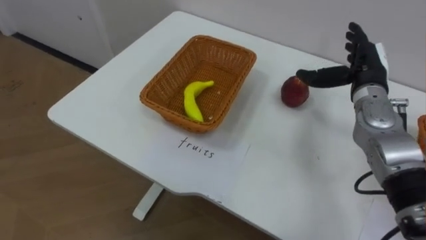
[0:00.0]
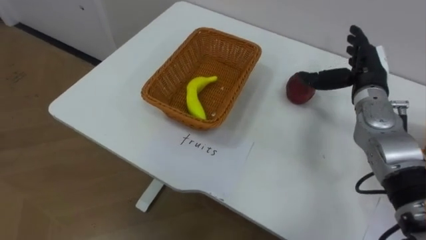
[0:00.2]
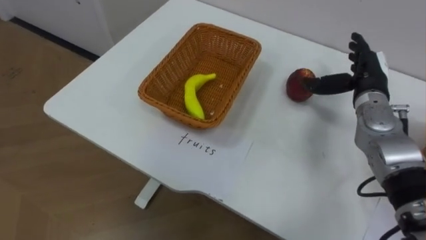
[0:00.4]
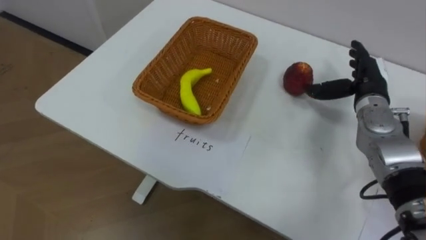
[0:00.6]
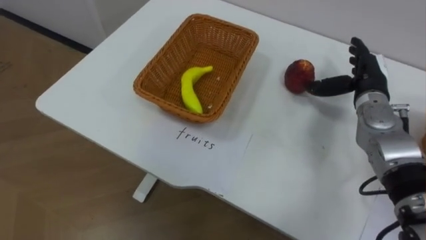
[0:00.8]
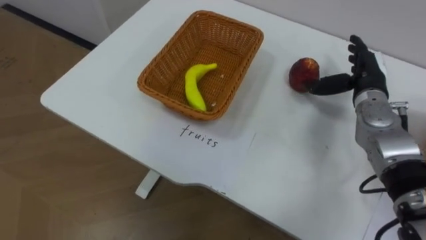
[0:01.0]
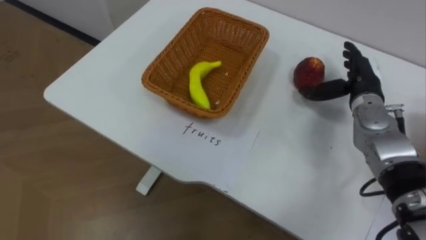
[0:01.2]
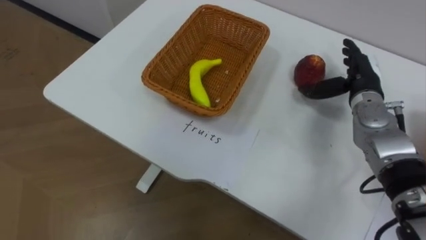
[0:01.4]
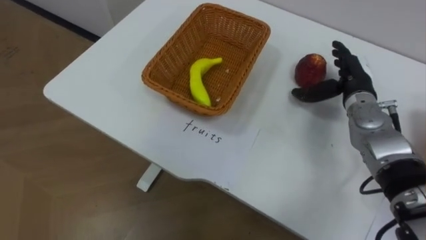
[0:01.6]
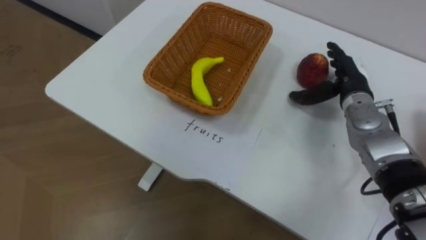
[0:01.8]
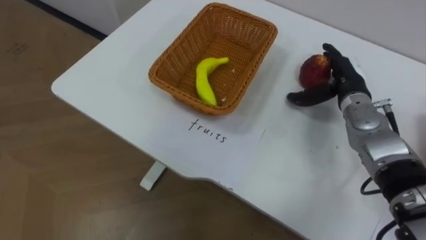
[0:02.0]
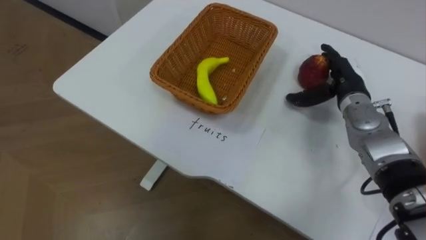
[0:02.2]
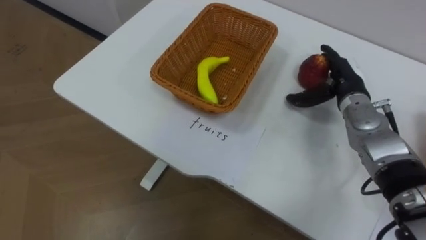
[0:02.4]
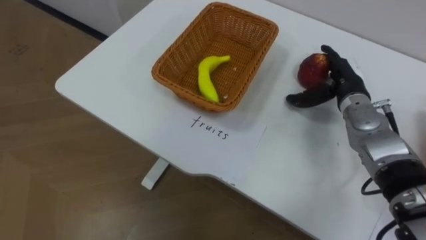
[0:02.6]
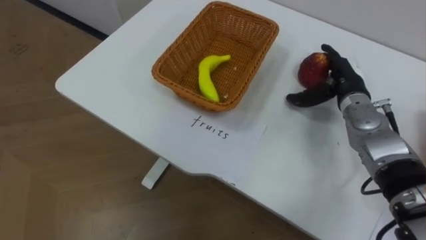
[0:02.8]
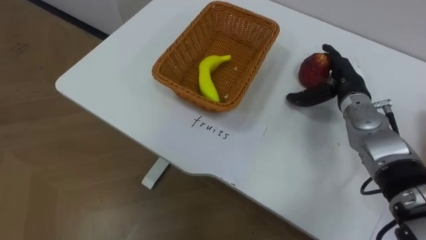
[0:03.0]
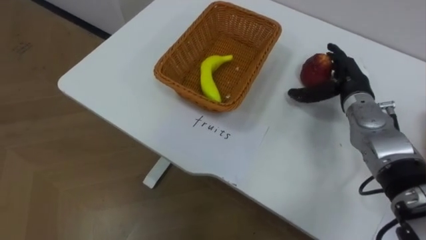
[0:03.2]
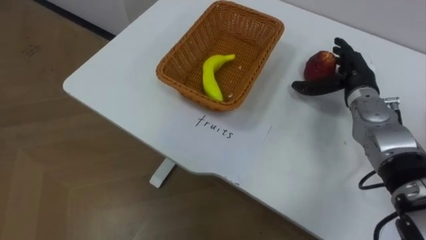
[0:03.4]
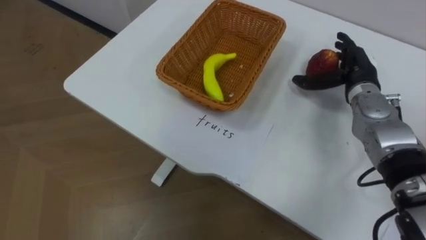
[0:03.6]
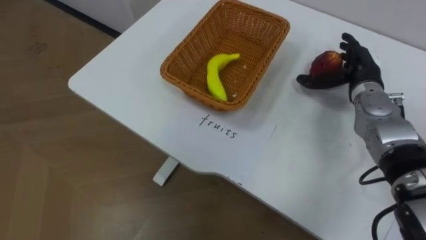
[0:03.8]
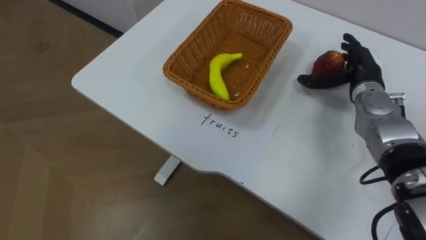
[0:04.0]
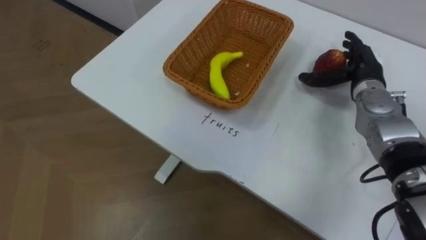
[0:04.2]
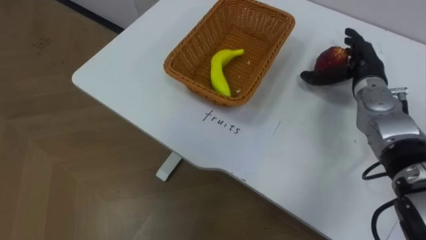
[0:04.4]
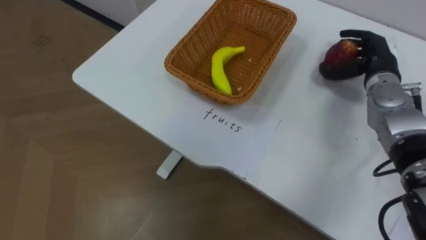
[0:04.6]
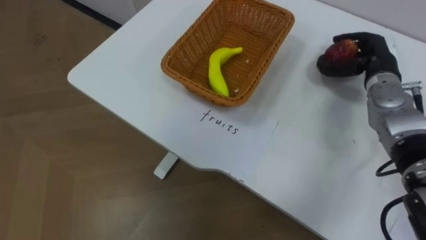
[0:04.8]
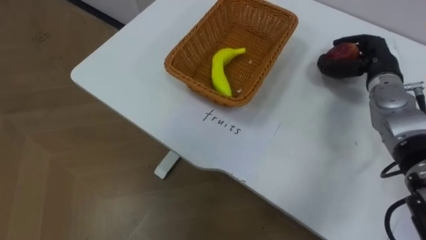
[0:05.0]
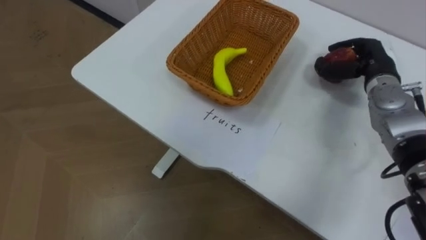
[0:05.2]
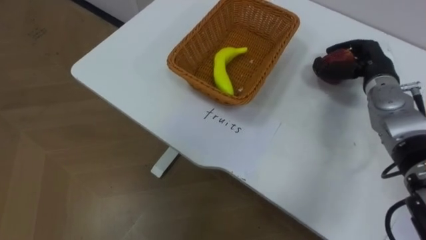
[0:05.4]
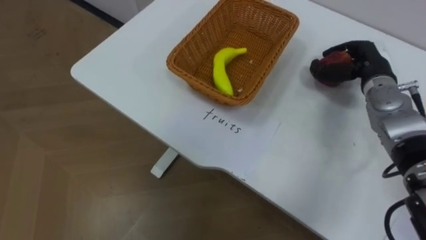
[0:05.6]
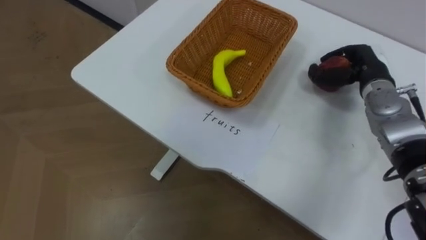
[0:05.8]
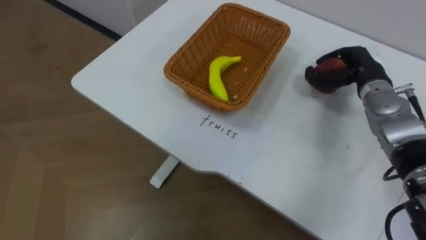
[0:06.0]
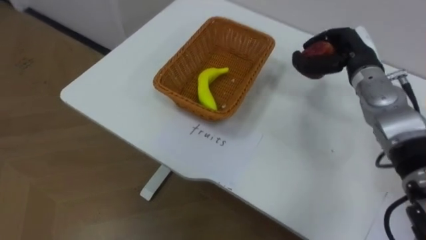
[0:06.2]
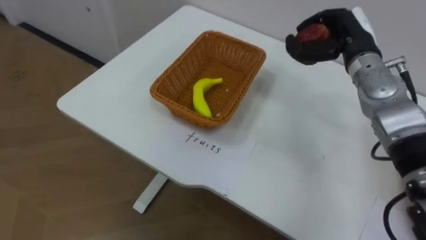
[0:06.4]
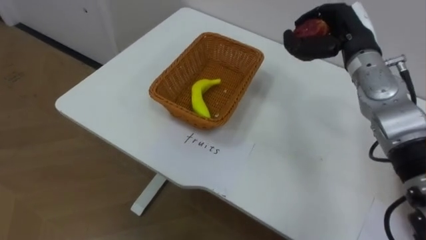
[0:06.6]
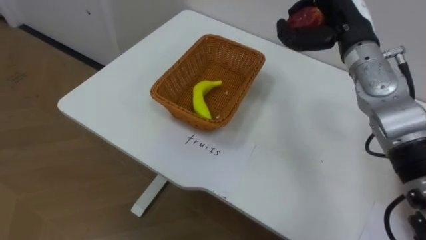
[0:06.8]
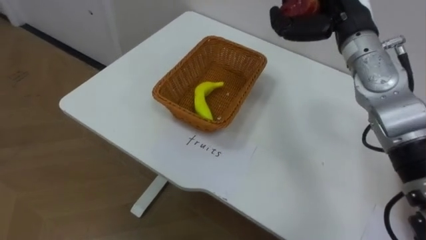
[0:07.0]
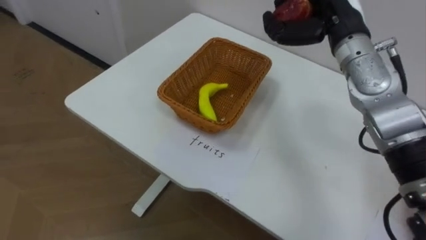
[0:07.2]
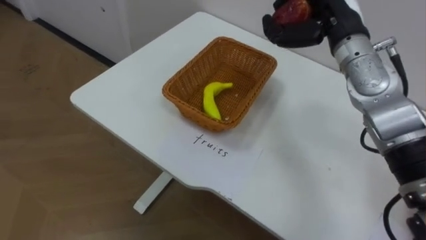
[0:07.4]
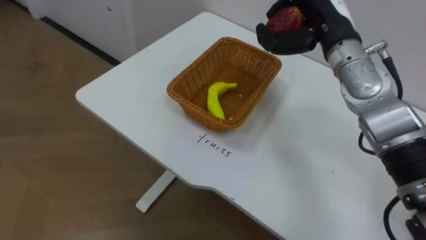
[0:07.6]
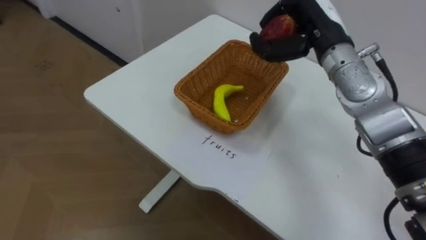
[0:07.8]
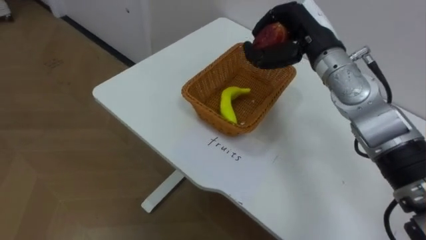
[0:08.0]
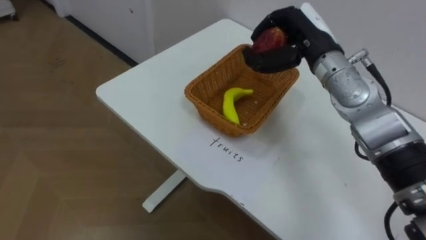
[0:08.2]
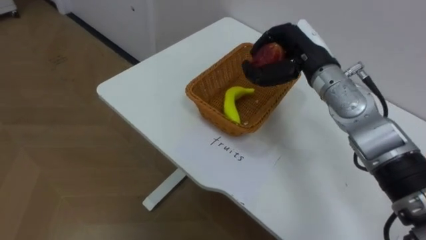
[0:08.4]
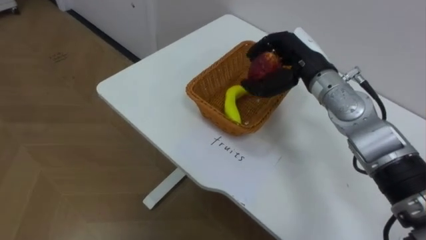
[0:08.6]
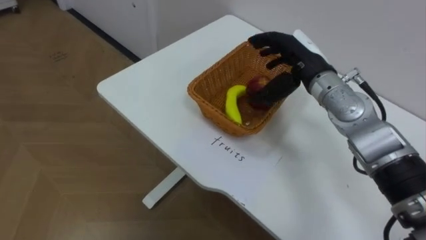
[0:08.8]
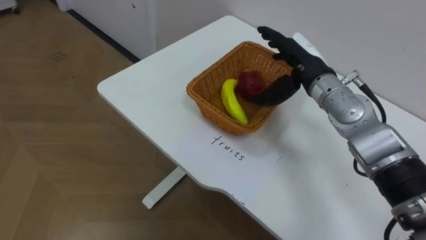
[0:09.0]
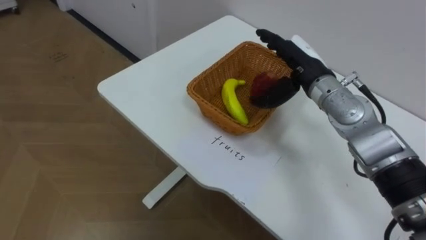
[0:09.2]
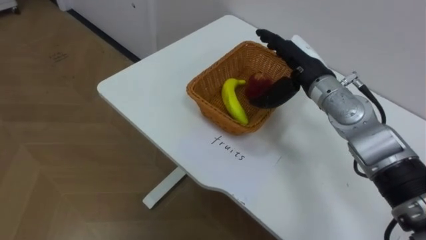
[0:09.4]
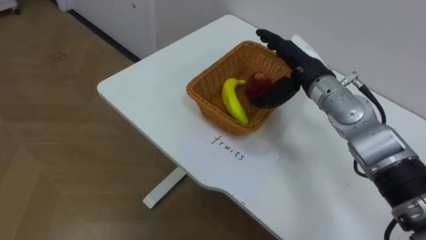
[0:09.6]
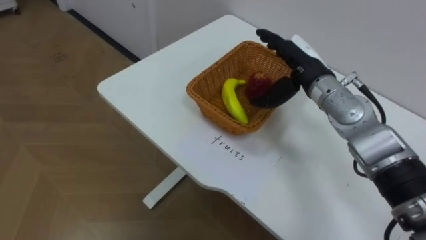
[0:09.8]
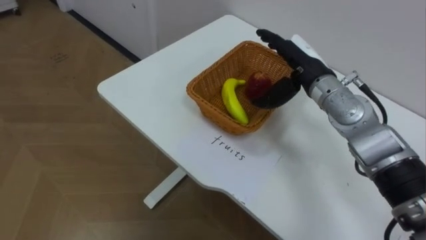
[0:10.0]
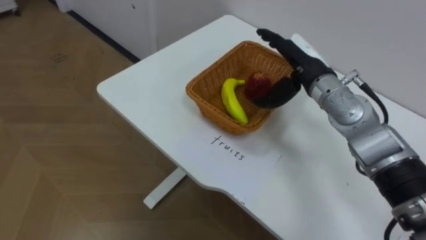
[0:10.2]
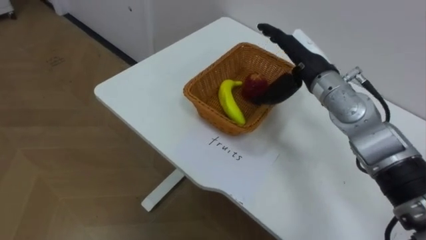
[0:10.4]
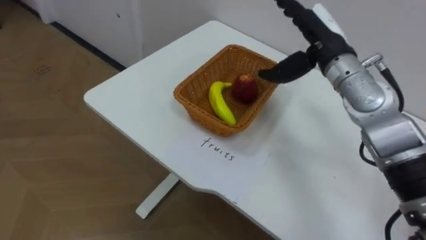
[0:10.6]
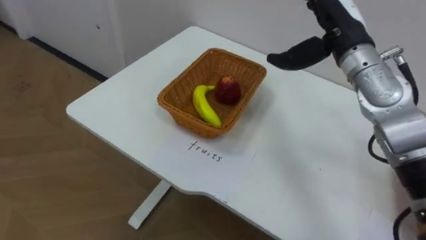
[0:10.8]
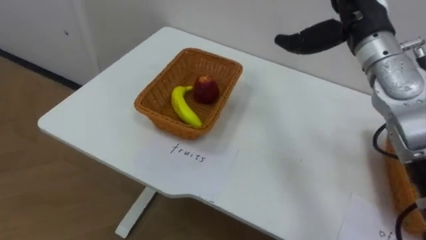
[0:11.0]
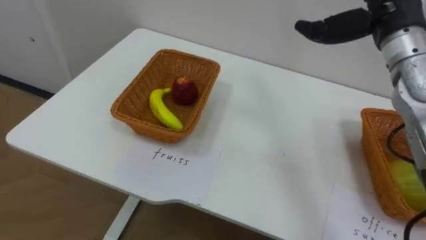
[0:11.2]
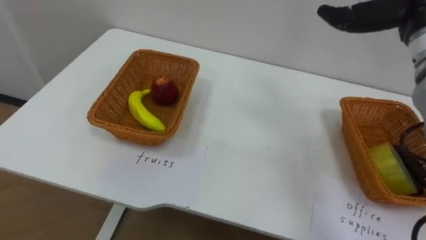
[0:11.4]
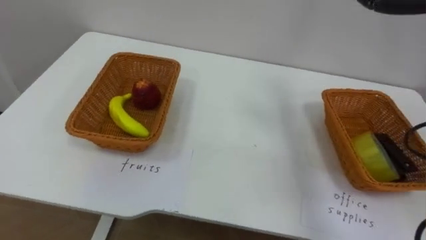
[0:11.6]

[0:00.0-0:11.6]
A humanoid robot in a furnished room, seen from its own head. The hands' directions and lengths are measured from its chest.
Task of the whole recording: Separate the items on the table and place them into the two baskets.
0:04.4 to 0:05.8: The right hand closes.
0:05.8 to 0:07.2: The right hand is displaced upward and to the left by about 15 cm.
0:07.2 to 0:08.8: The right hand heads downward, covering approximately 5 cm, and opens its fingers.

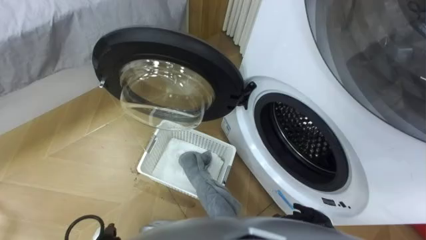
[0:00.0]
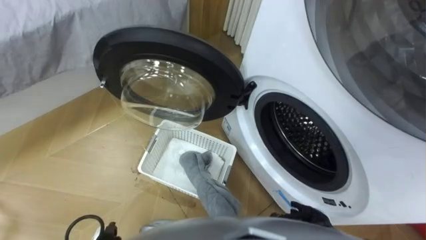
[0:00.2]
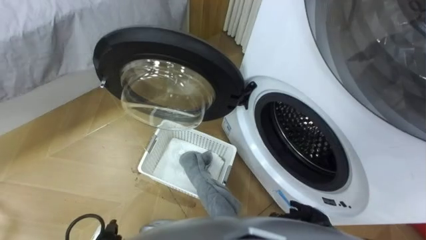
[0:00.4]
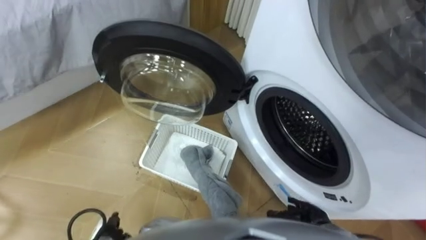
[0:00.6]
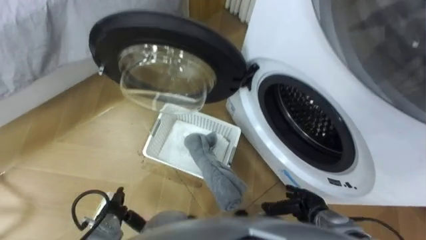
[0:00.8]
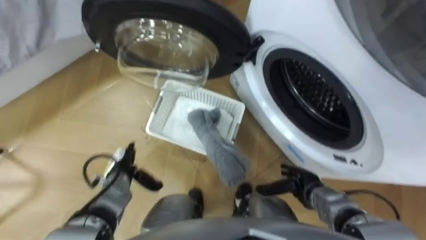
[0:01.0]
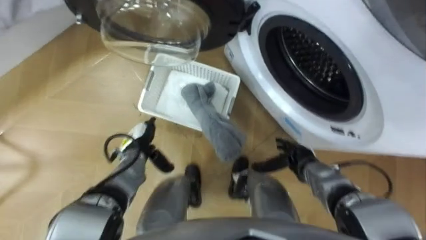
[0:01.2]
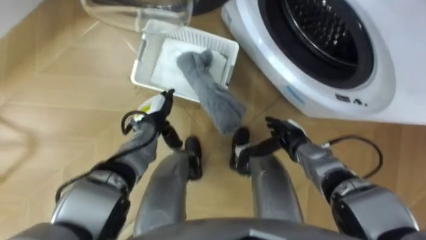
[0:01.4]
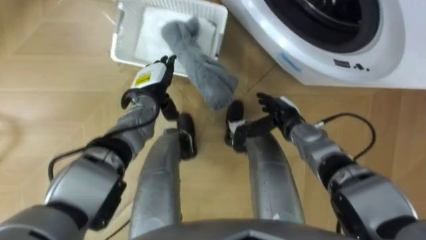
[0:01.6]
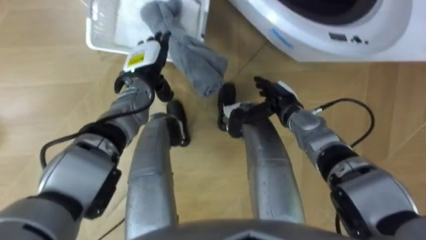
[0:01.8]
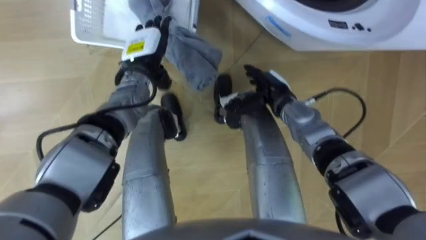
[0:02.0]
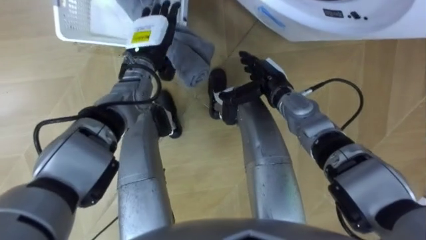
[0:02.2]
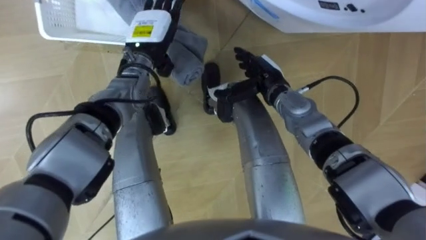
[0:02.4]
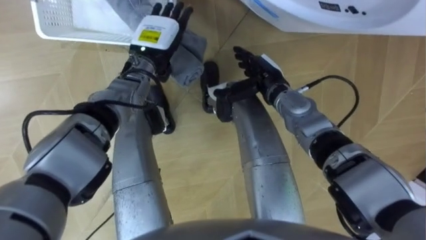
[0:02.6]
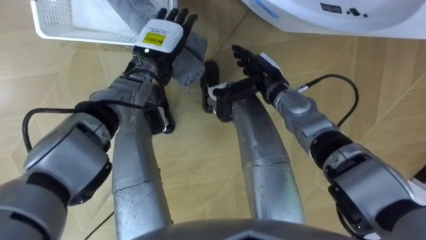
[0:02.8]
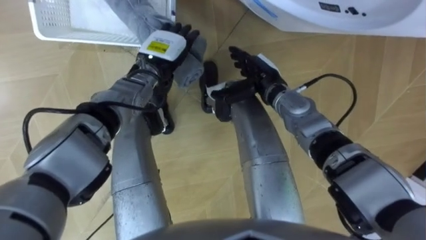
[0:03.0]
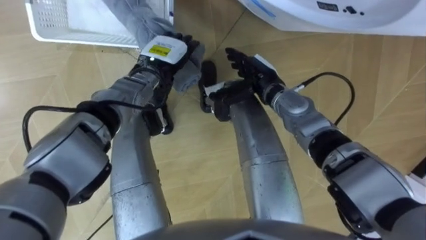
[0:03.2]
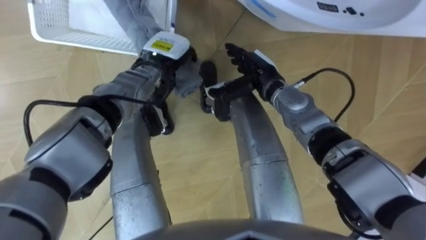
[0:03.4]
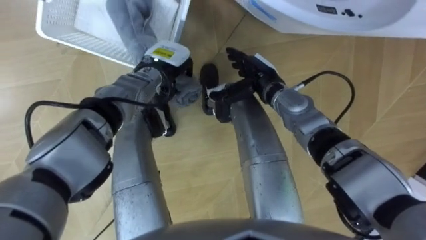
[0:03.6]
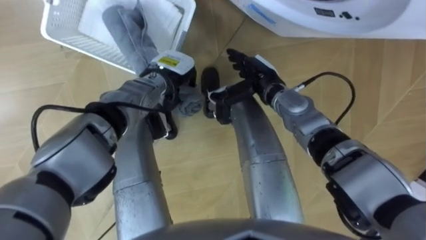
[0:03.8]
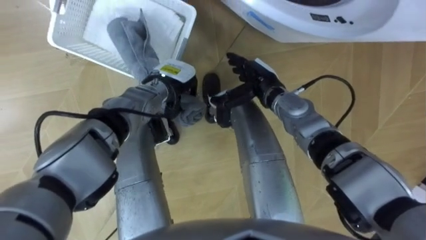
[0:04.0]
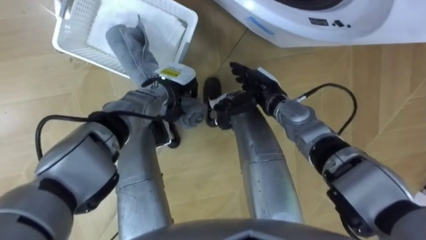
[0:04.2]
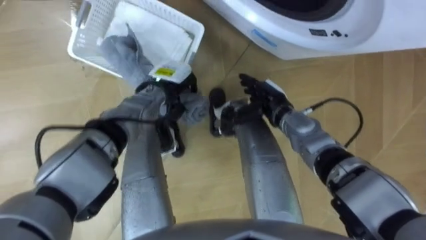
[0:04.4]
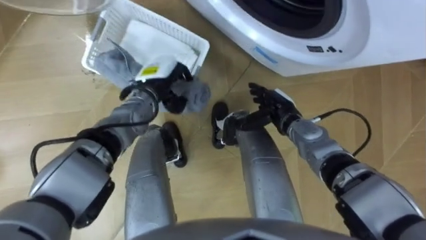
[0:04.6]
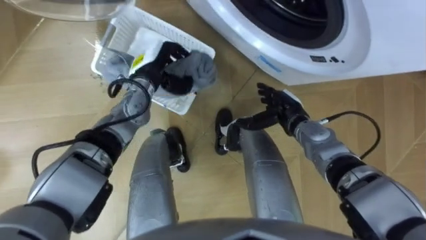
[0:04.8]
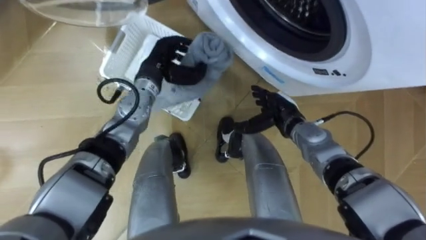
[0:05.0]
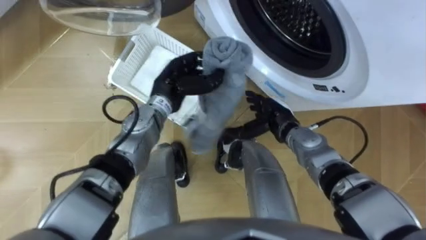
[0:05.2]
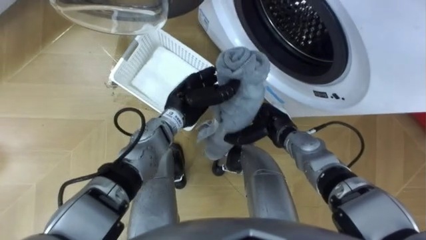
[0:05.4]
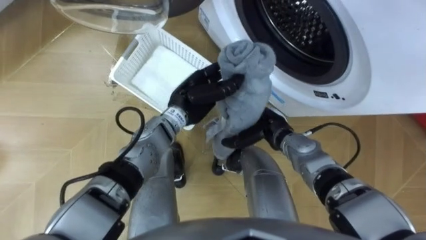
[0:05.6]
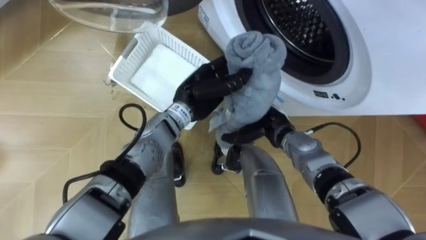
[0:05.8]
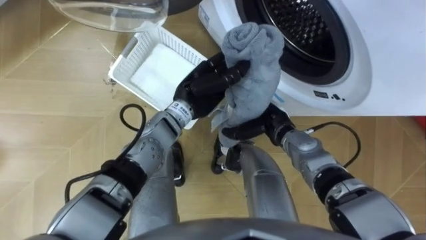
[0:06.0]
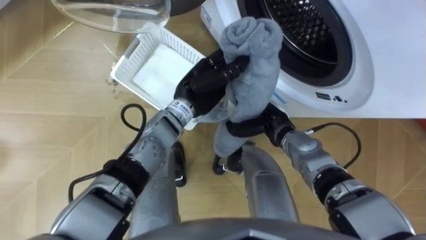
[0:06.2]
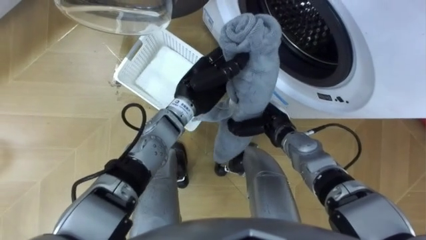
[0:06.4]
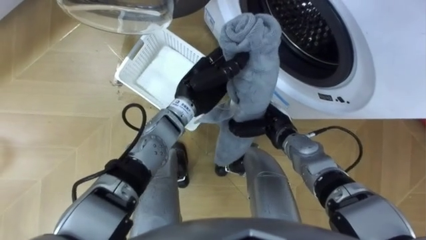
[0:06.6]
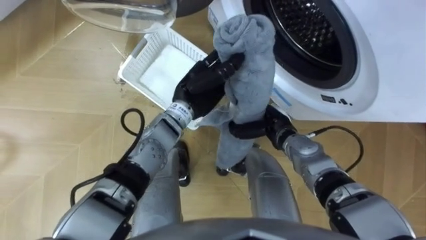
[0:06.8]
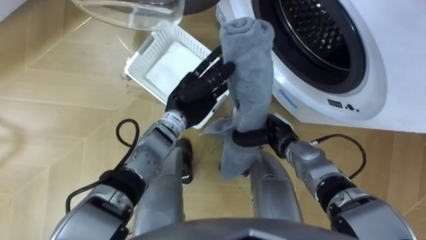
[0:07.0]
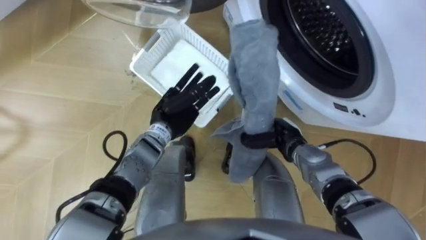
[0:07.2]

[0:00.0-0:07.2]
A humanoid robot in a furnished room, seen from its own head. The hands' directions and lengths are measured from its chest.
Task of the whole recording: Take the towel from the basket and put it into the washing machine.
0:01.4 to 0:02.8: The left hand moves upward and forward, roughly 15 cm; the right hand travels upward, forward and to the left by about 15 cm.
0:02.8 to 0:04.4: The left hand moves downward, approximately 5 cm, and closes, while the right hand moves about 5 cm.
0:04.4 to 0:05.8: The left hand is displaced to the right by approximately 5 cm.
0:05.8 to 0:07.2: The right hand closes up, while the left hand goes roughly 10 cm to the left and downward, and opens up.
